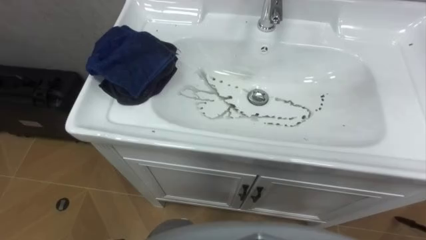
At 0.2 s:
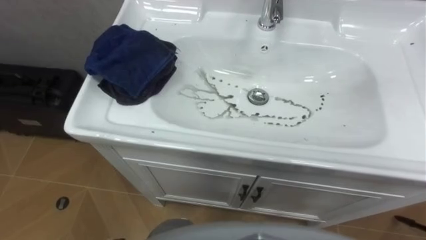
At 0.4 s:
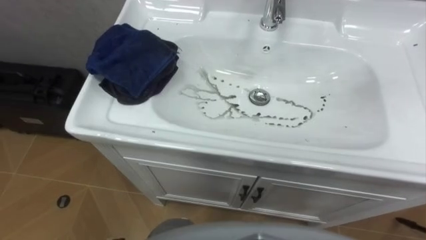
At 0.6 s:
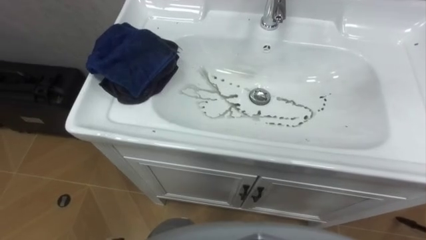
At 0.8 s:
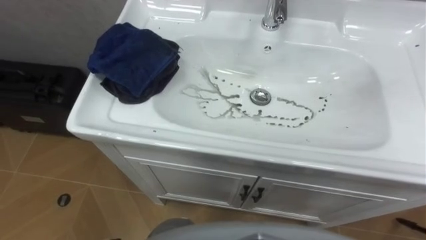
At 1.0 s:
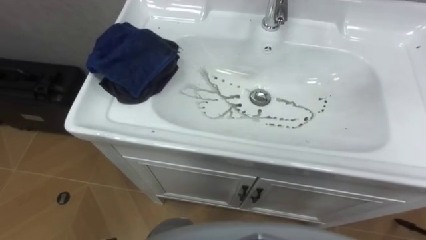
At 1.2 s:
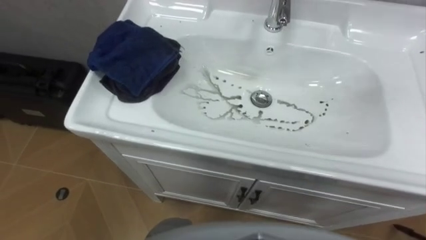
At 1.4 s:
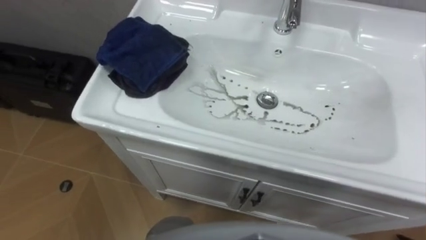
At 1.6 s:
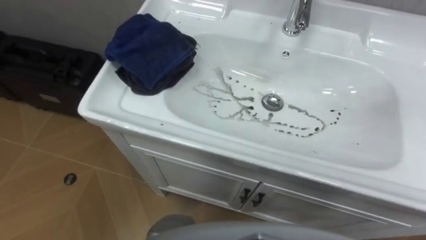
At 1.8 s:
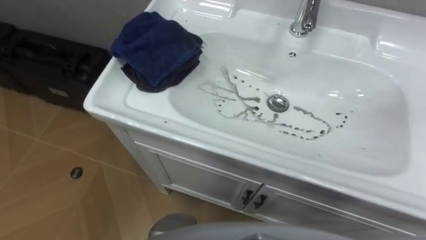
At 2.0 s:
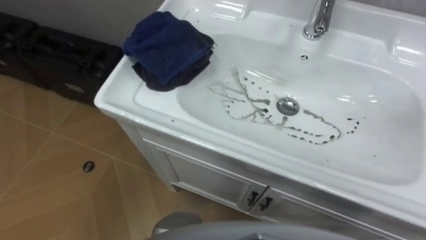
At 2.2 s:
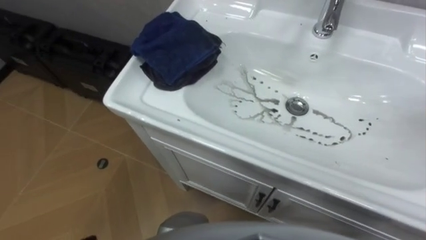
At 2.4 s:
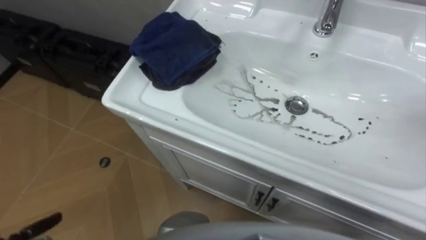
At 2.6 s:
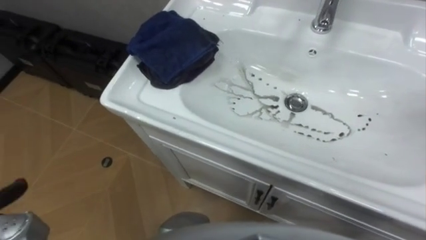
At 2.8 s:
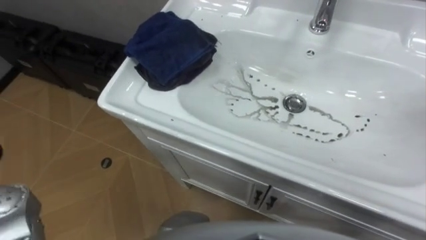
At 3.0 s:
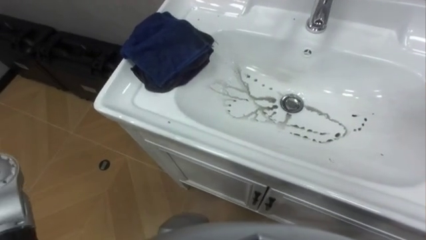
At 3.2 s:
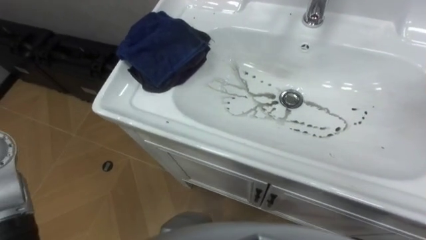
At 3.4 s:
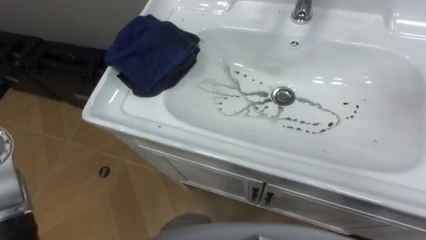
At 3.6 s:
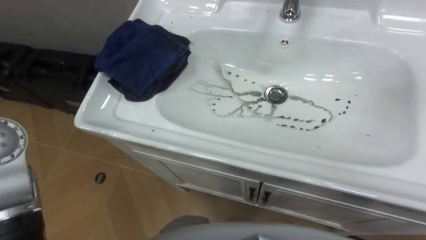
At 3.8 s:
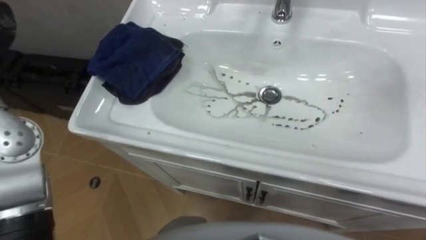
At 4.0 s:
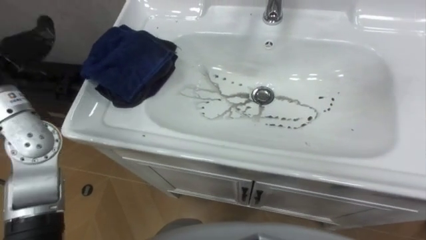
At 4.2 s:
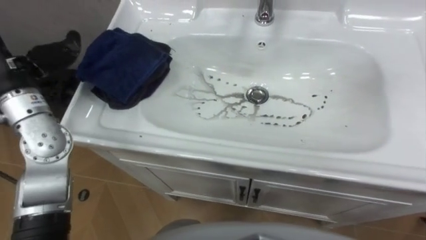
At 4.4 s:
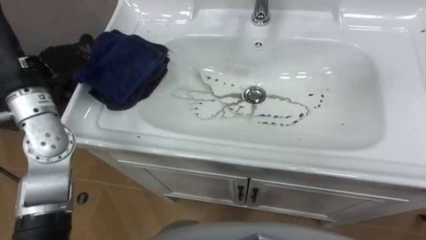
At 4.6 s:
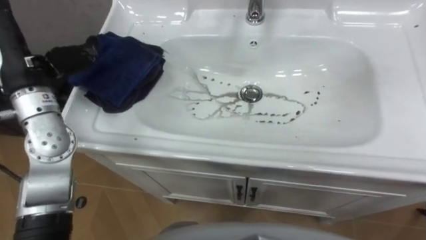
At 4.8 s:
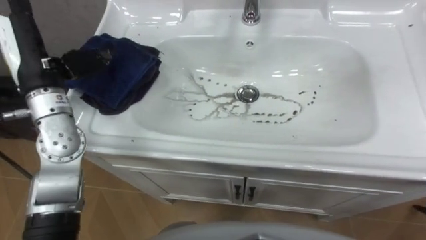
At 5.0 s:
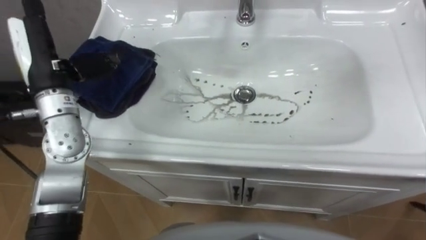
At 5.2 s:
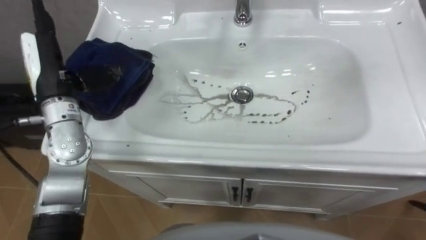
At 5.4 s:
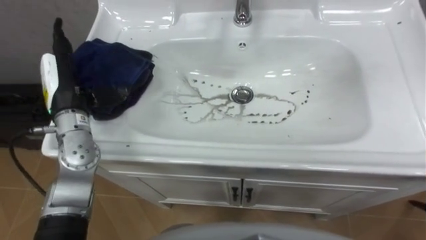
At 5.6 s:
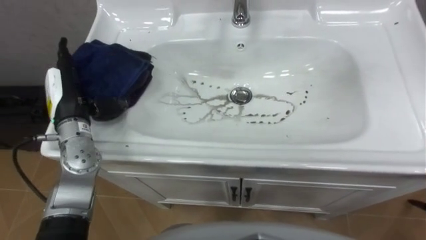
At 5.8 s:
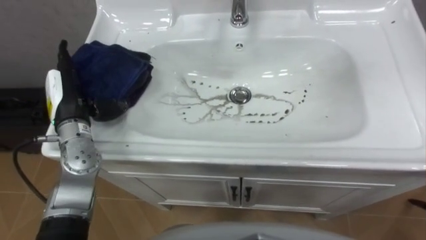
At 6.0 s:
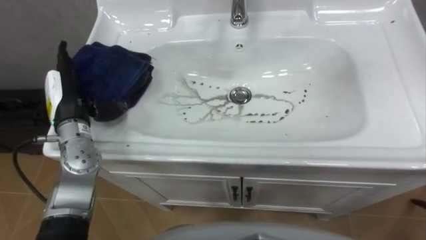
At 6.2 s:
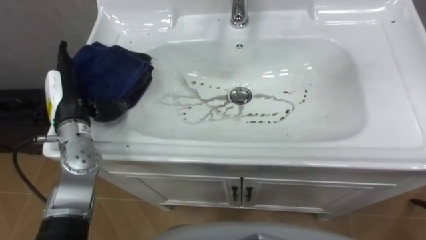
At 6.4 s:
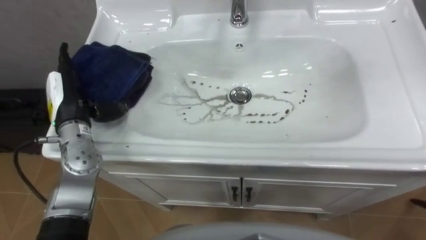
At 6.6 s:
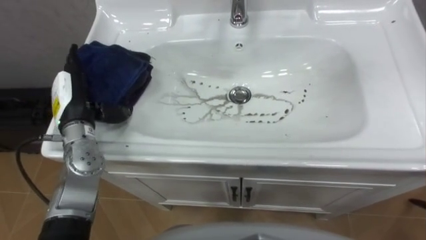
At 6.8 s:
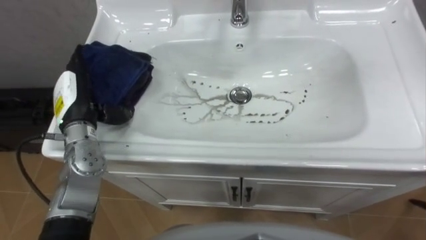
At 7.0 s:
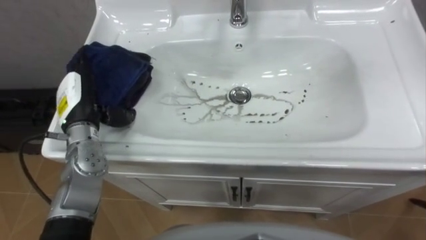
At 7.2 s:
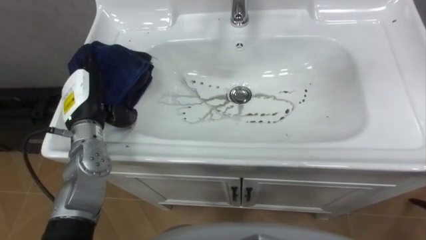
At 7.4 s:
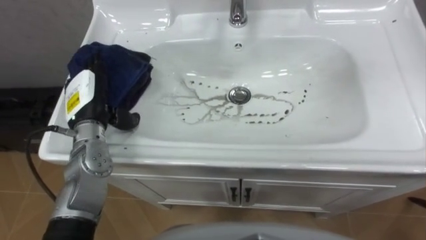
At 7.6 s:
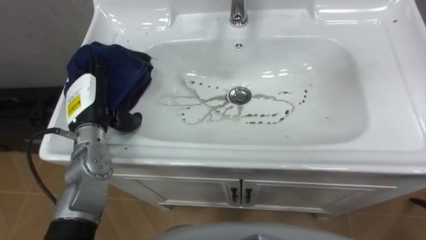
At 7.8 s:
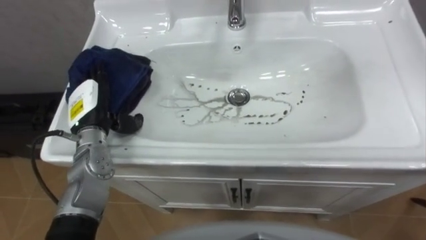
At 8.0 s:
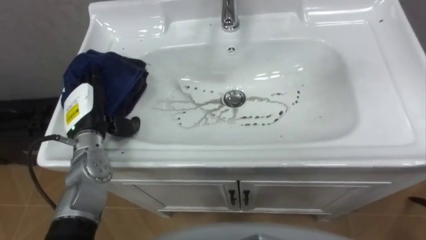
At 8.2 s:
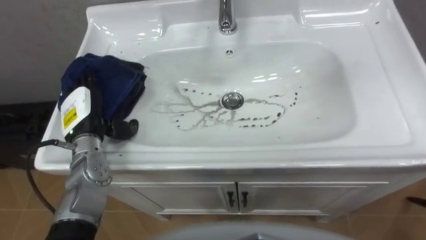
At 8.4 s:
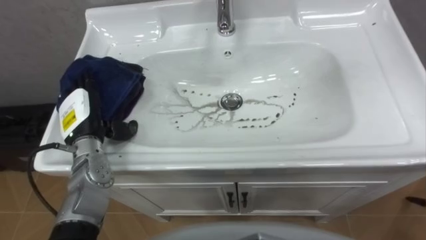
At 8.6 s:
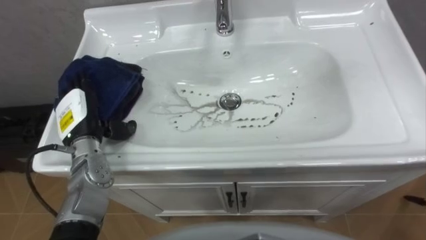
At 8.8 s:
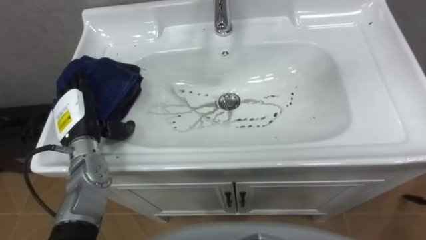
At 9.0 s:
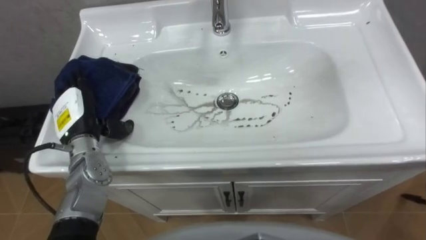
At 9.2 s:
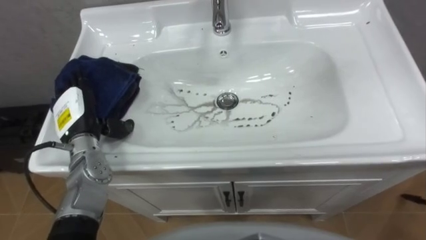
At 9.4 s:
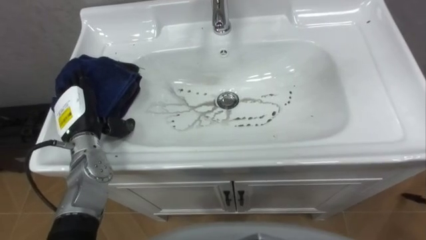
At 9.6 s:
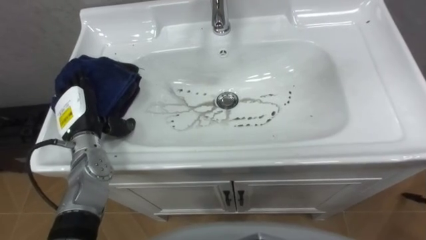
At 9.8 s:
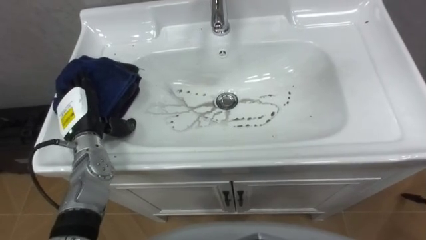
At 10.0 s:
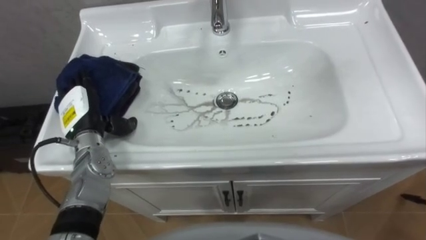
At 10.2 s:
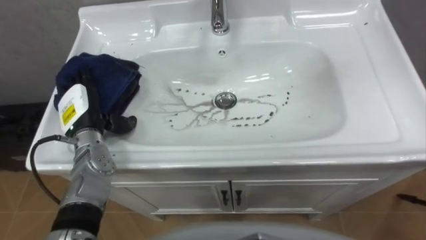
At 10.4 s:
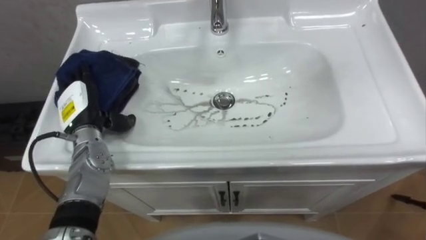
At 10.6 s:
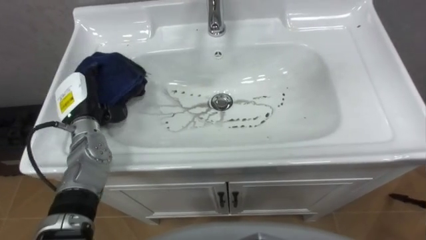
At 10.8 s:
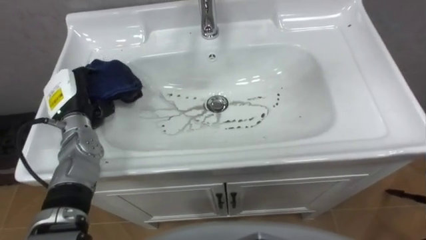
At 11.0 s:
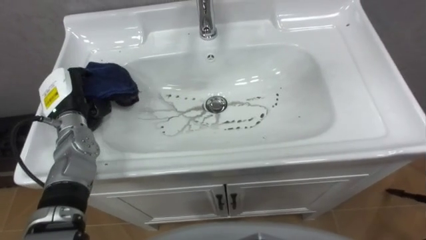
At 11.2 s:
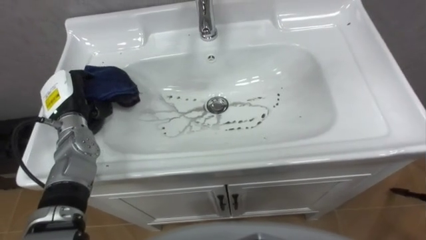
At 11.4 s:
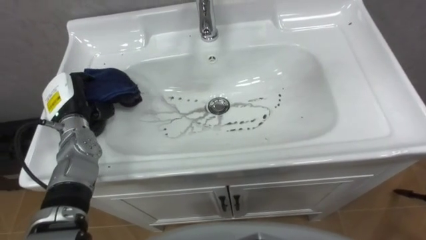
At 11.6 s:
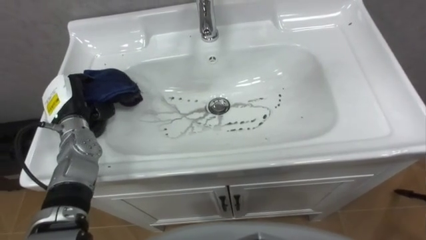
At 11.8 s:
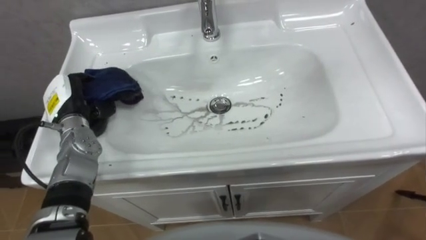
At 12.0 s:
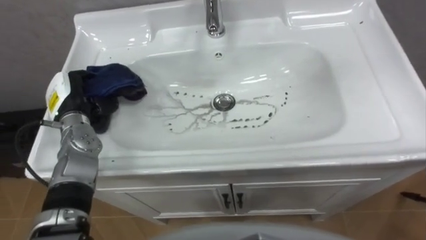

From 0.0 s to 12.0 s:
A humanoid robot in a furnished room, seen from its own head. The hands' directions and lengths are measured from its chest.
Task of the whole recording: Use the cloth on the right to wipe away the black stain in the sink.
From 4.4 s to 6.0 s: The left hand heads downward, covering about 10 cm.
From 10.4 s to 12.0 s: The left hand closes up.

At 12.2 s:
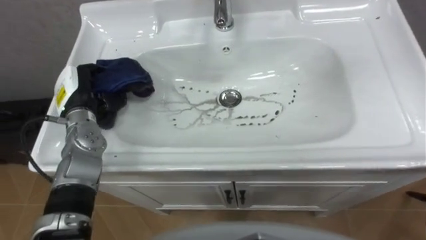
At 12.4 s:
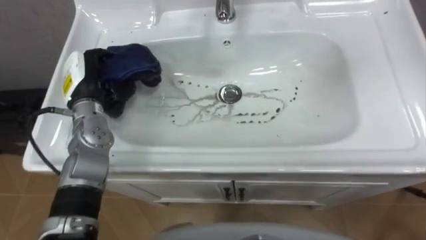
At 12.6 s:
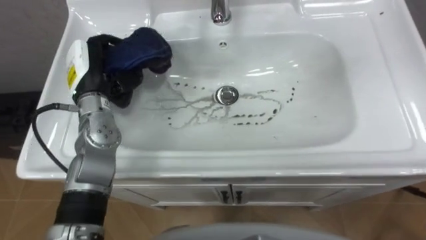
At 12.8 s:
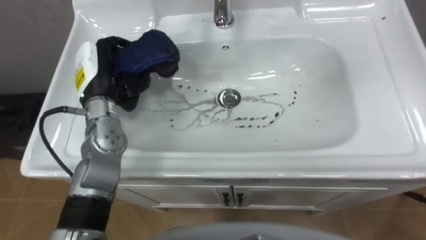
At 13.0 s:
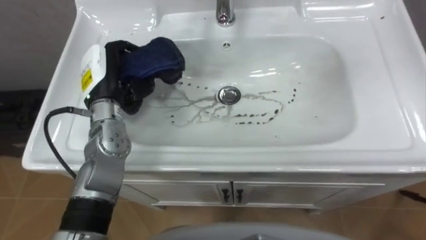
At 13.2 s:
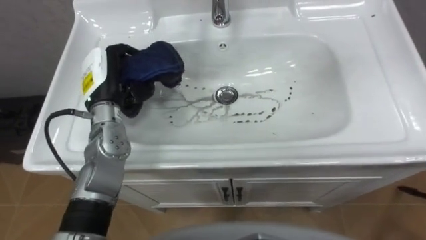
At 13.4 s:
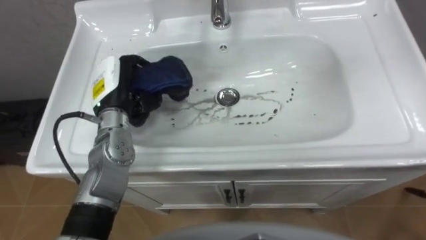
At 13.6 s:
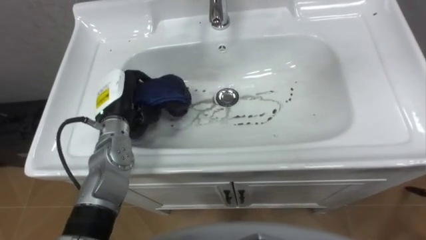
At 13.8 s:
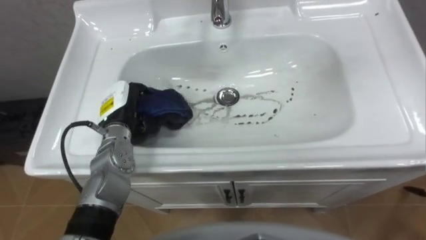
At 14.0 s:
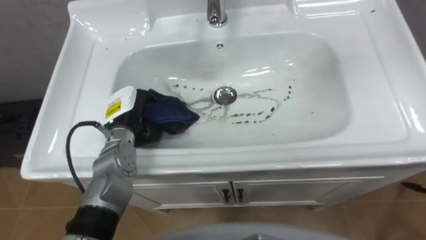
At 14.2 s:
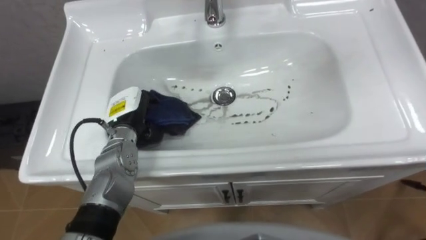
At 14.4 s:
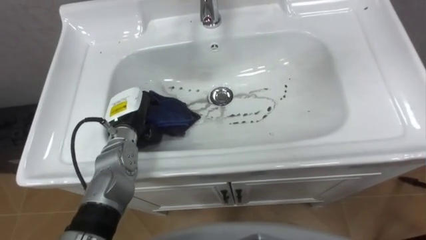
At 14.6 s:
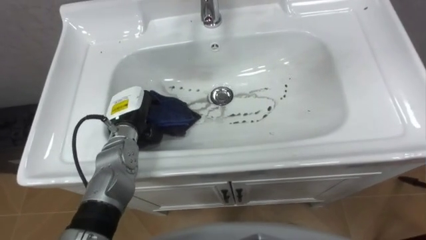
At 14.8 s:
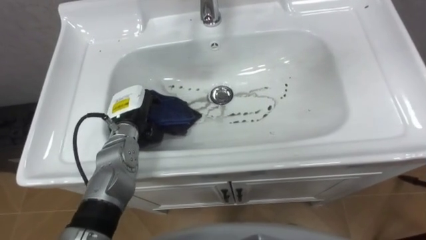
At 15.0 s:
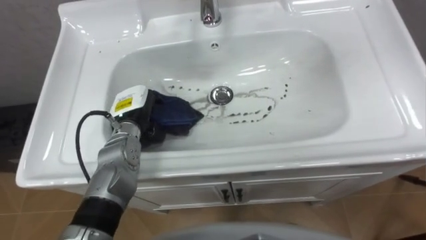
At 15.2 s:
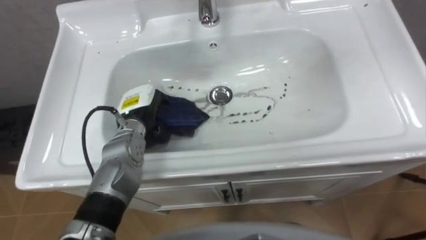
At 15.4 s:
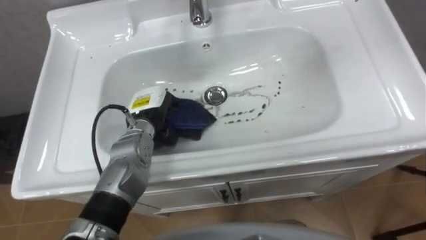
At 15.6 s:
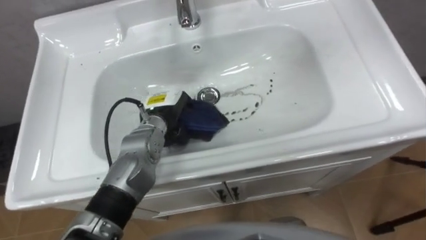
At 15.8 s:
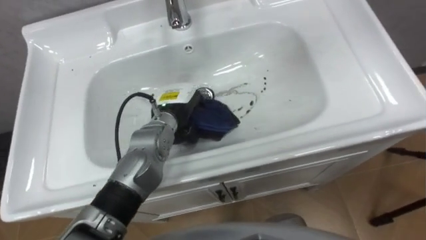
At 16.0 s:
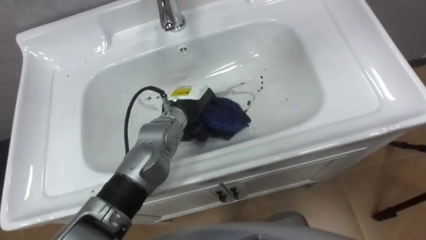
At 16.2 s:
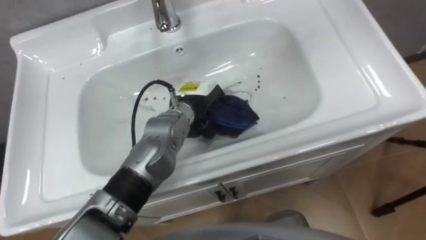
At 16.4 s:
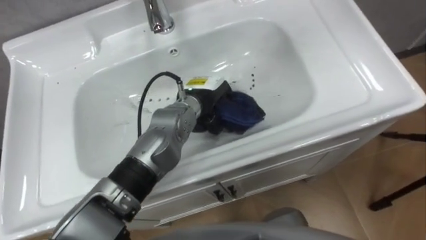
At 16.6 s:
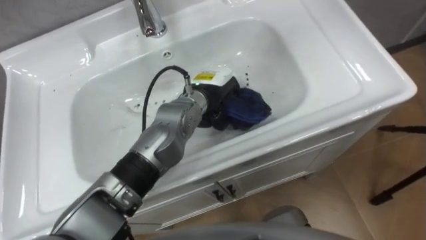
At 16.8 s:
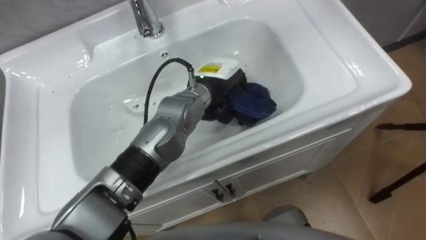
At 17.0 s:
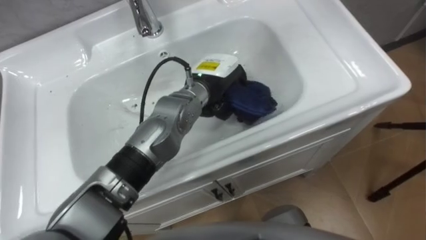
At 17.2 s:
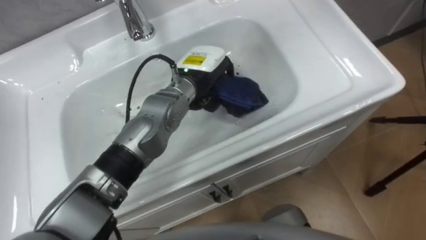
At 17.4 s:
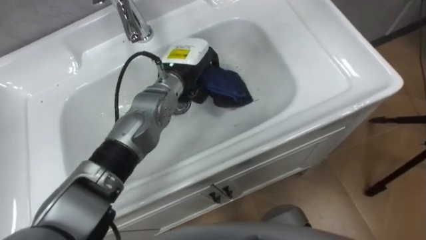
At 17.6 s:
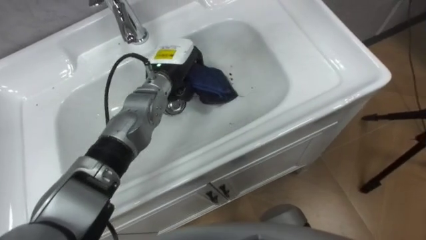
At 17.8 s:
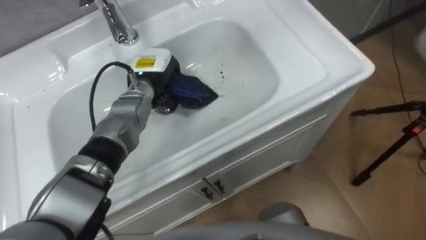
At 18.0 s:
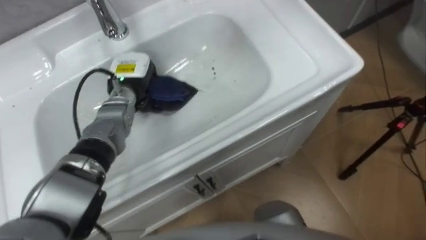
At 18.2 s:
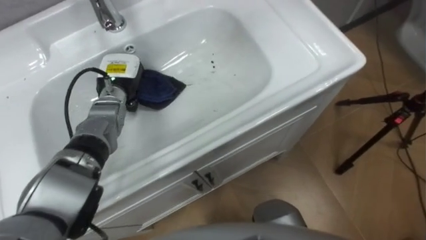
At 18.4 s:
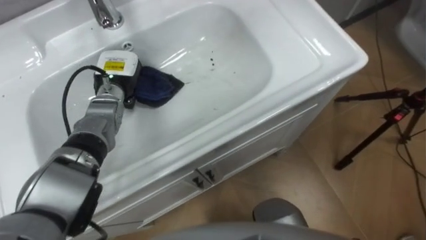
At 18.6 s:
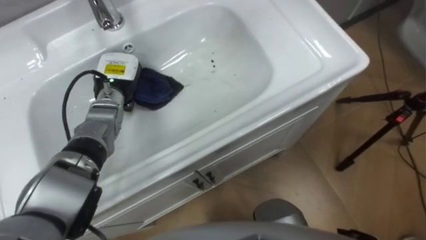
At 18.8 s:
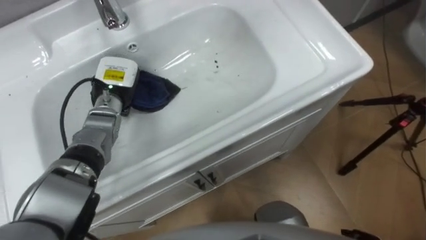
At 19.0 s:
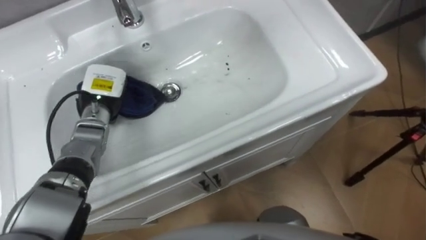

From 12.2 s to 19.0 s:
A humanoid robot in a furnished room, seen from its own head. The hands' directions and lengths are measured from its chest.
Task of the whole recording: Use the cloth on the right to wipe away the black stain in the sink.
From 12.2 s to 13.6 s: The left hand moves to the right, about 10 cm.
From 15.0 s to 16.2 s: The left hand goes roughly 15 cm to the right.
From 16.2 s to 17.6 s: The left hand goes roughly 5 cm forward.
From 17.6 s to 19.0 s: The left hand heads to the left, covering about 15 cm.
